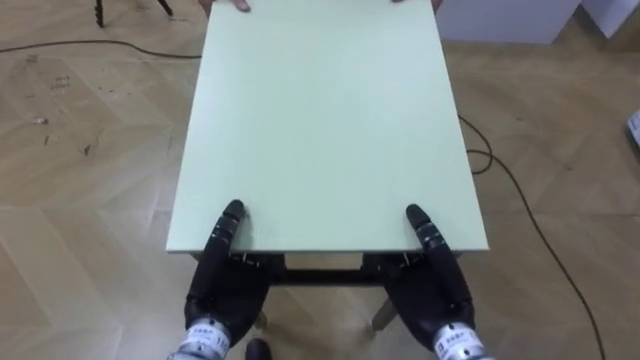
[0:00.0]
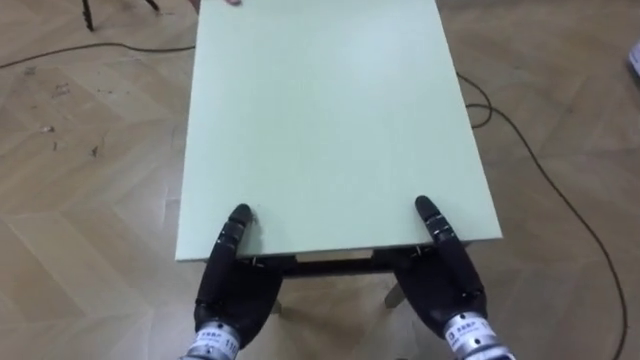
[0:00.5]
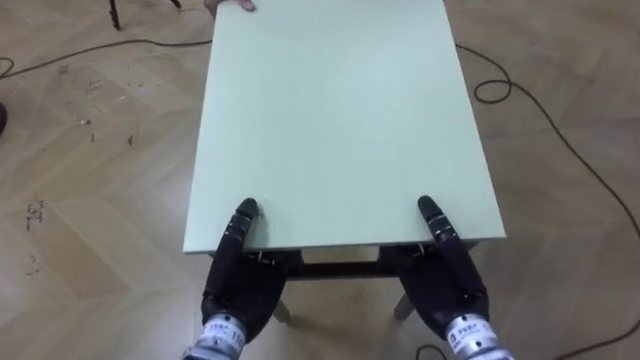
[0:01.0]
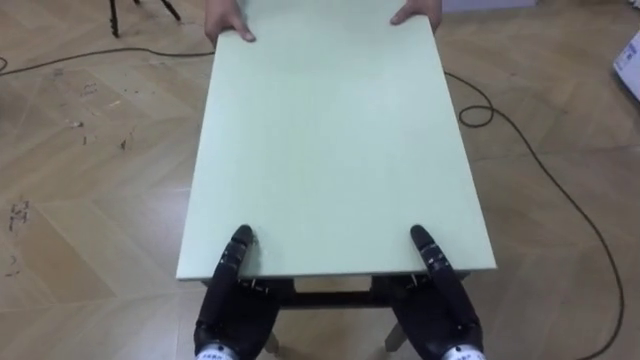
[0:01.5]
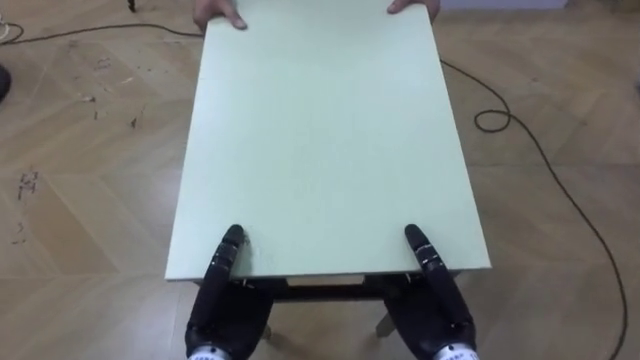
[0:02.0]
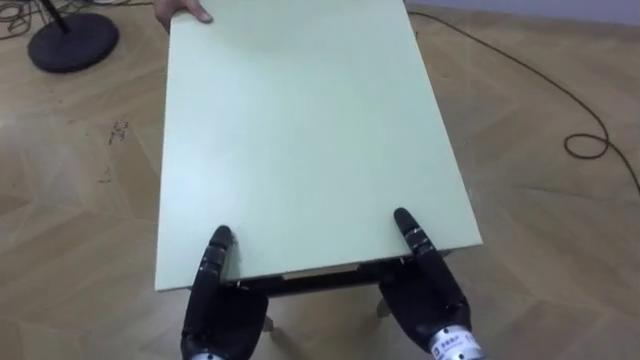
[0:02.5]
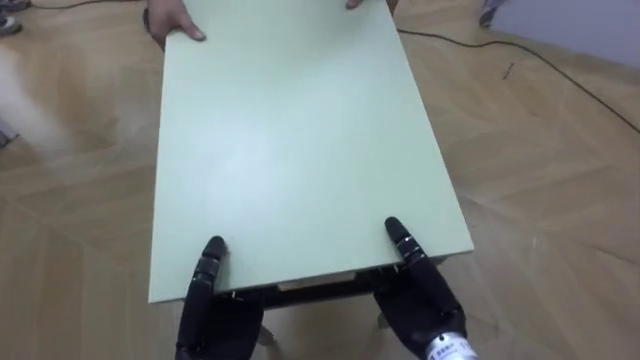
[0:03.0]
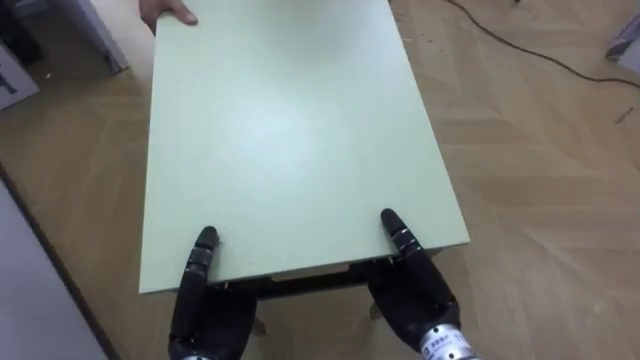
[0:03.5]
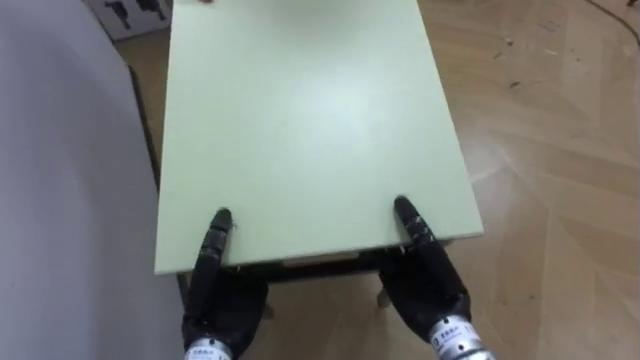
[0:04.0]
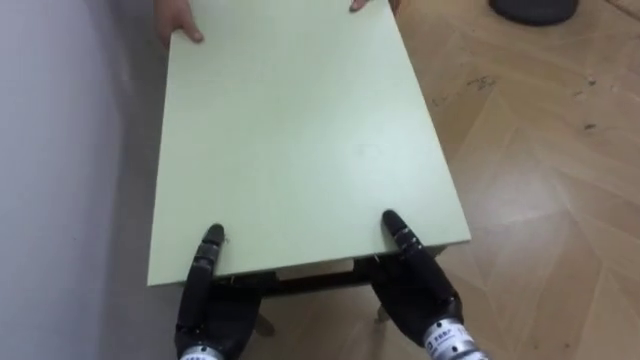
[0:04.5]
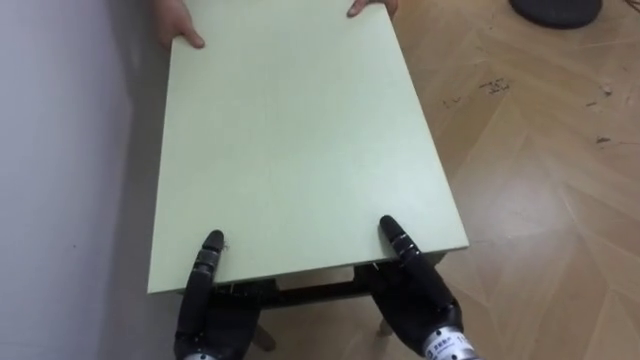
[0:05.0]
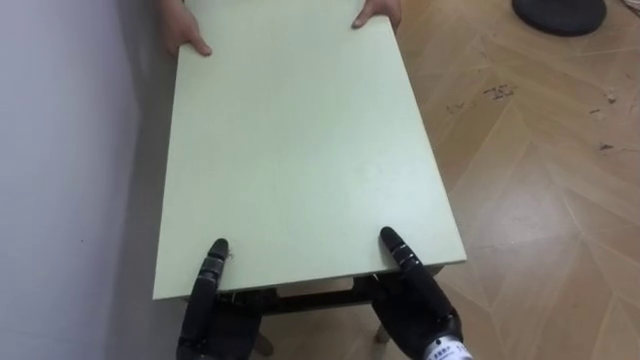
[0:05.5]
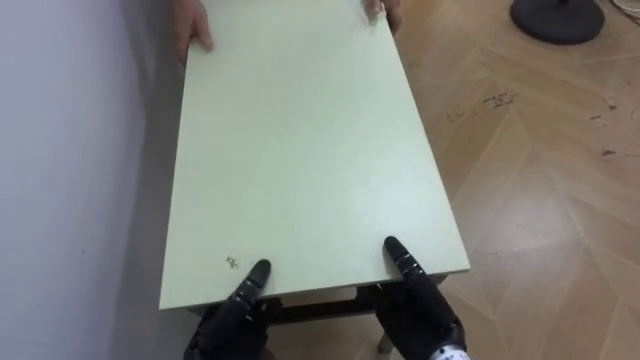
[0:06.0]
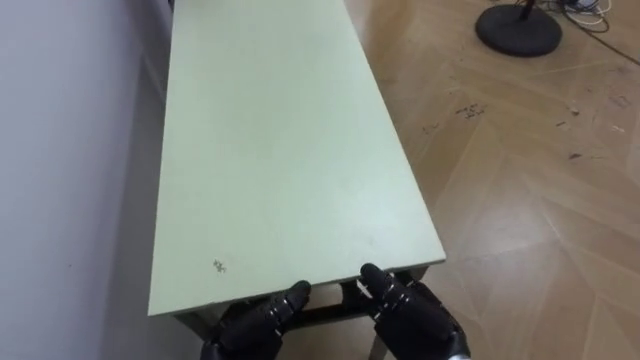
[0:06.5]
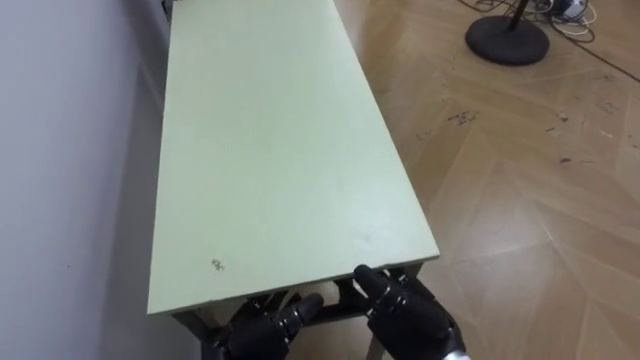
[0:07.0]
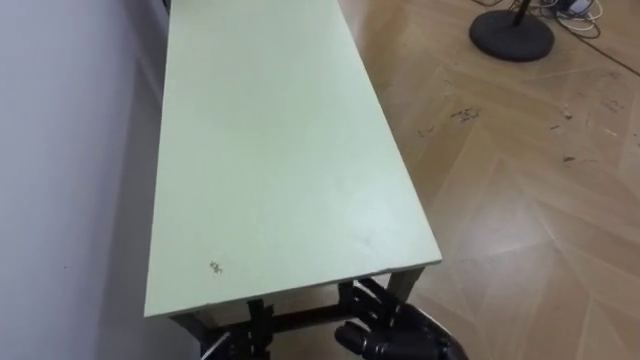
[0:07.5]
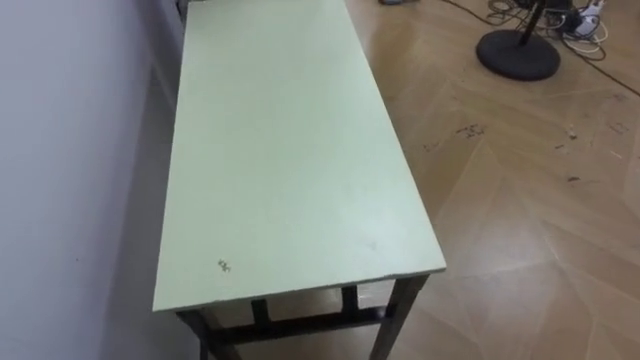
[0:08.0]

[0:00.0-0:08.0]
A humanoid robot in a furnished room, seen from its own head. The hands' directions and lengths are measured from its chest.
Task of the whole recording: Move the table to the back left with someone.
0:02.0 to 0:04.0: The robot turns to its left by about 70 degrees.
0:04.0 to 0:06.0: The left hand changes place by approximately 5 cm. The right hand changes place by roughly 5 cm.

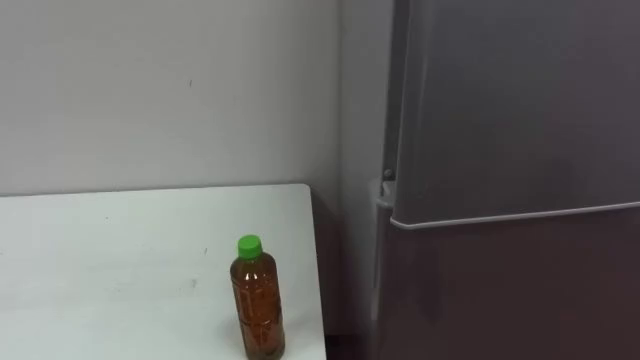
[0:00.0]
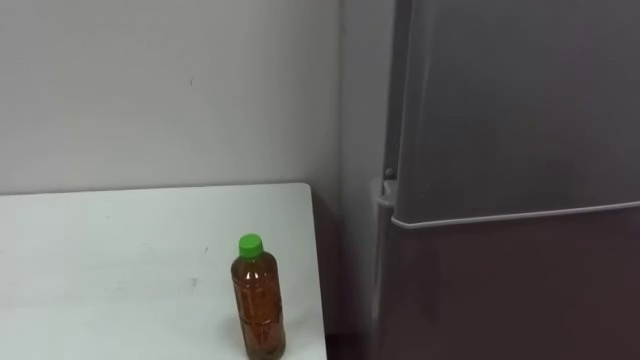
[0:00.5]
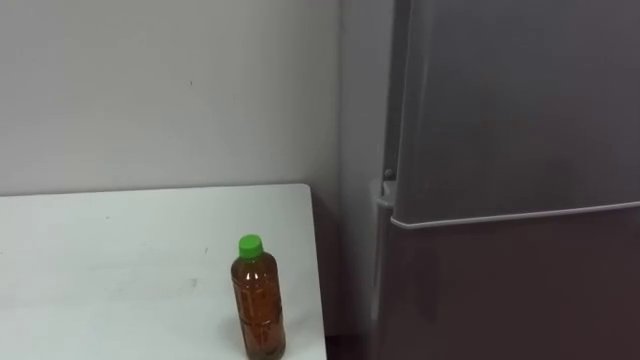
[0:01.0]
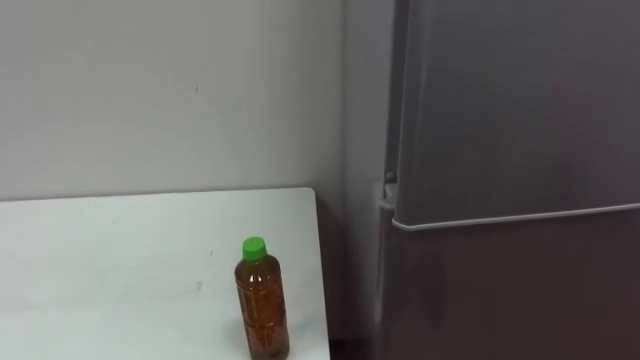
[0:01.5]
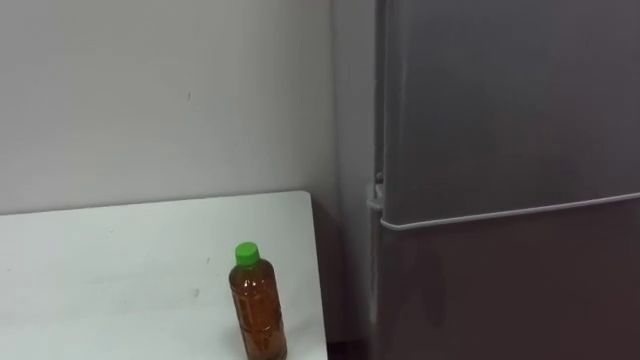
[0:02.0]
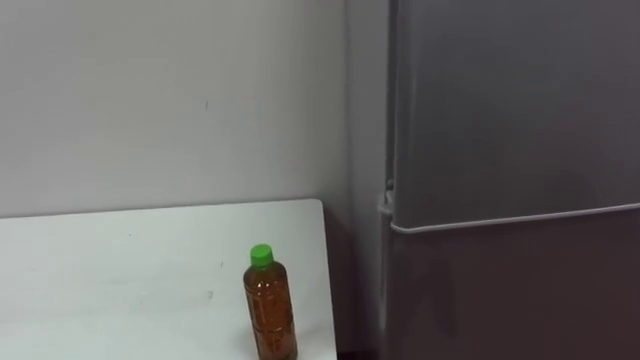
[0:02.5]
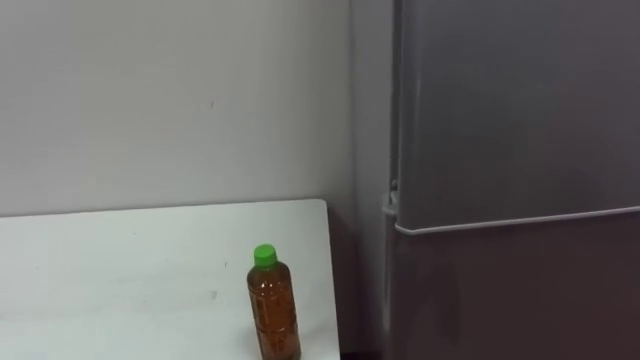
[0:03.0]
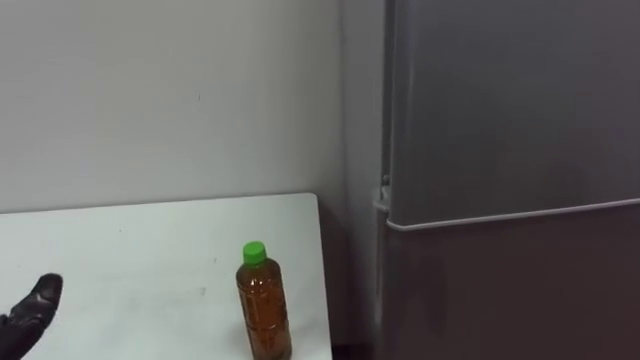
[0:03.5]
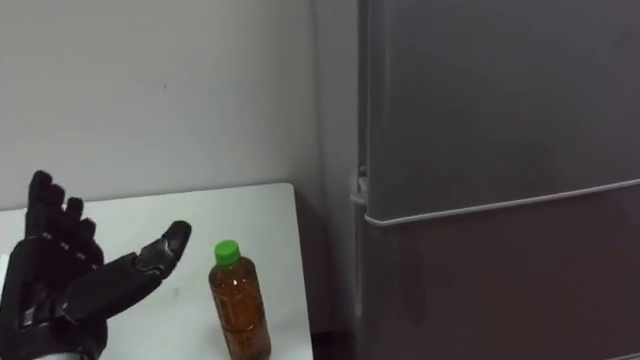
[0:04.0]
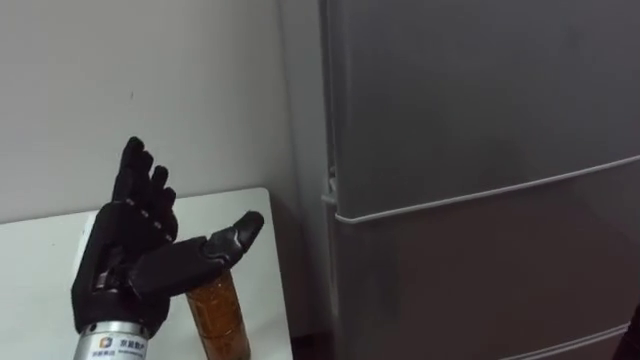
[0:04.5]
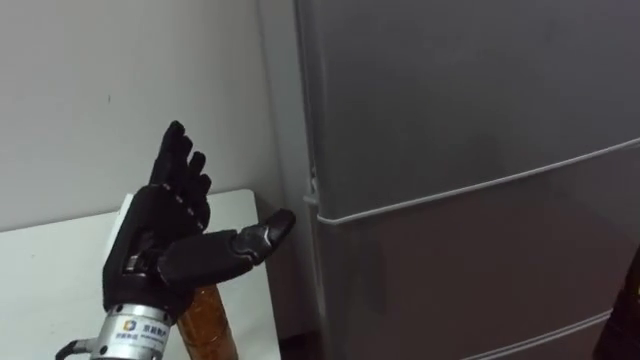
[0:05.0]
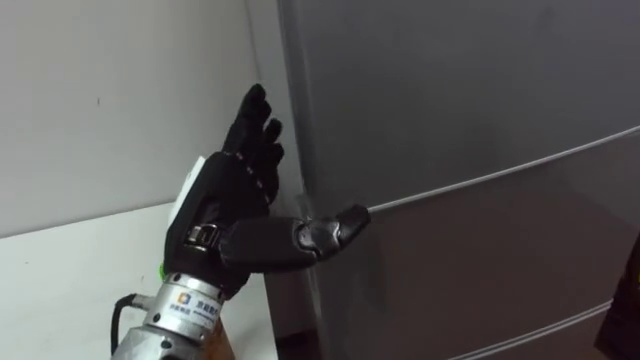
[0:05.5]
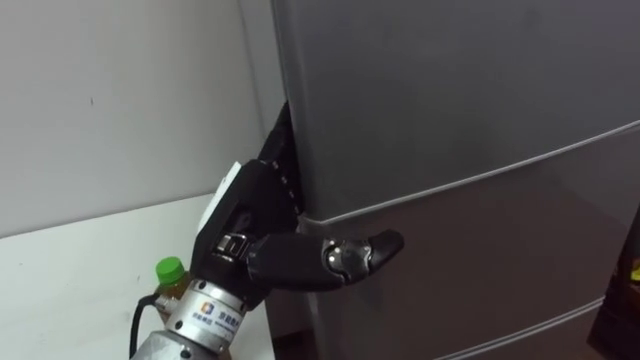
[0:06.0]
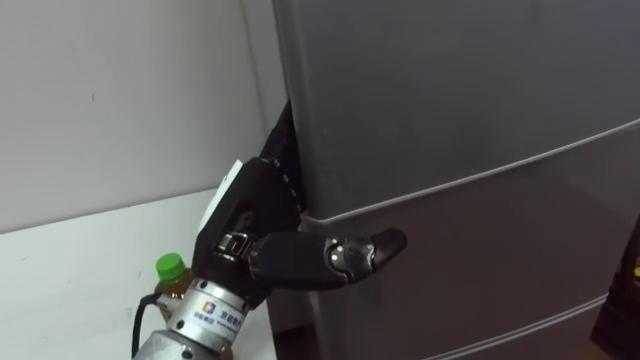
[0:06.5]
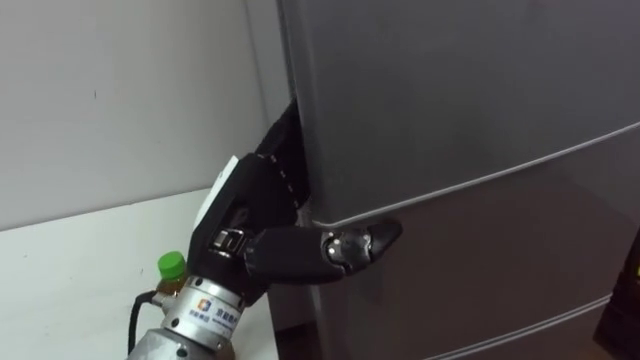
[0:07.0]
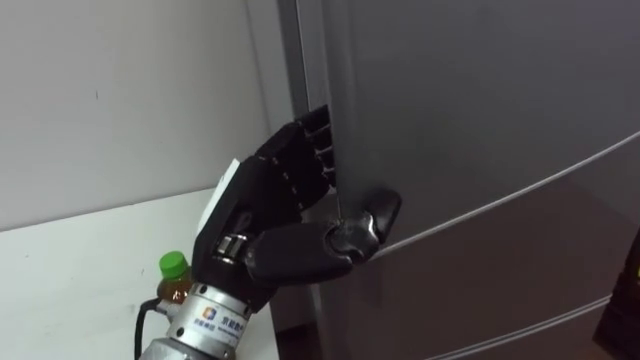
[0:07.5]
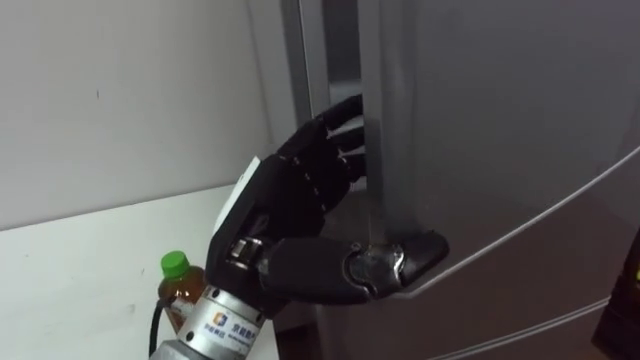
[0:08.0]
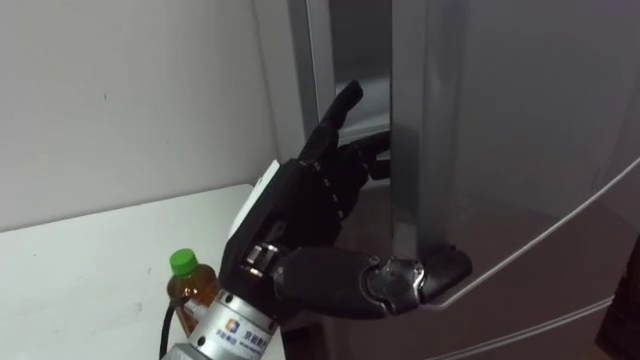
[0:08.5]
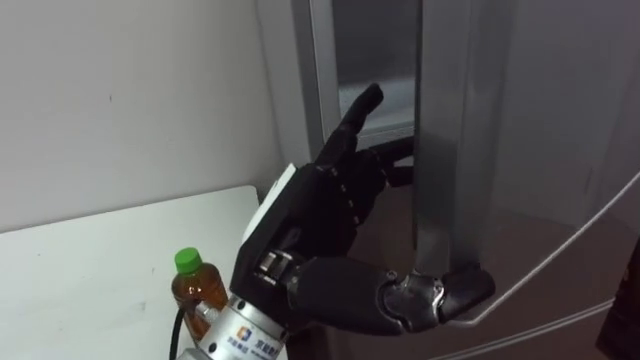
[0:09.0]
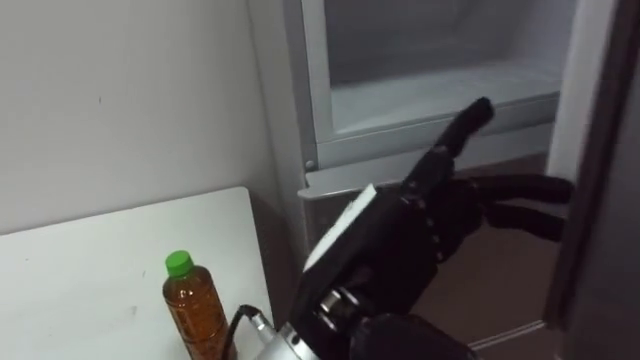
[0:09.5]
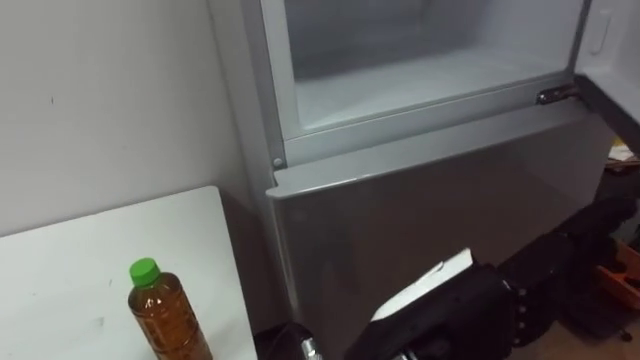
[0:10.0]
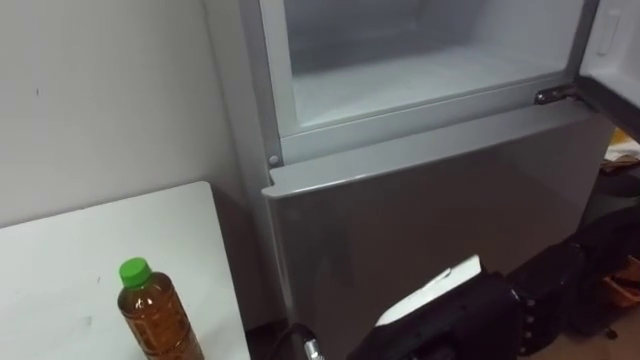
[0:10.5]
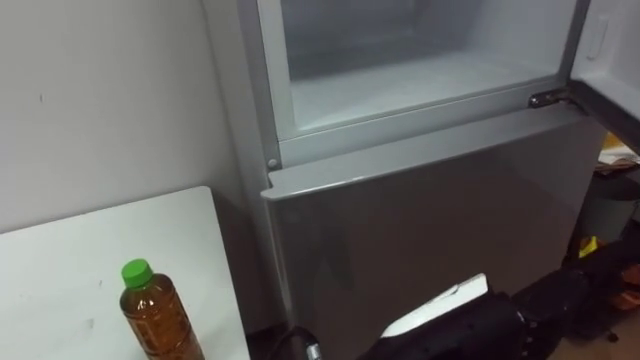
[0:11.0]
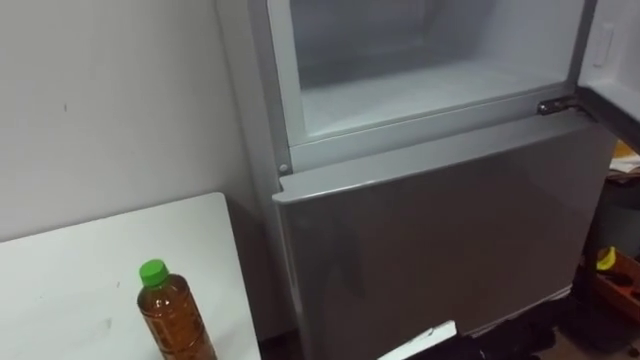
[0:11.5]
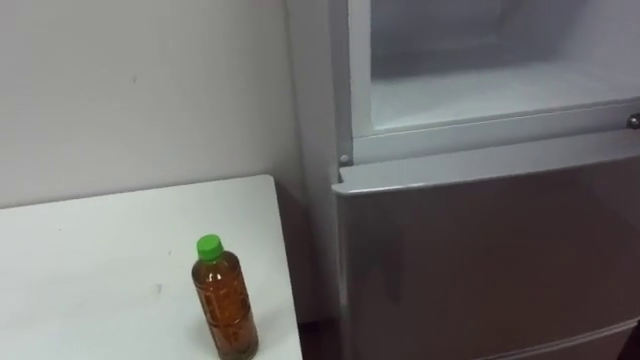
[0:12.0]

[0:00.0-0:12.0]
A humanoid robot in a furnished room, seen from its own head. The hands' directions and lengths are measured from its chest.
Task of the whole recording: Open the upper refrigerator door, put the drink from the table into the refrigerator, and then close the refrigerator door.
0:04.0 to 0:06.0: The left hand goes roughly 15 cm to the right.
0:08.0 to 0:10.0: The left hand is displaced to the right and backward by about 15 cm.
